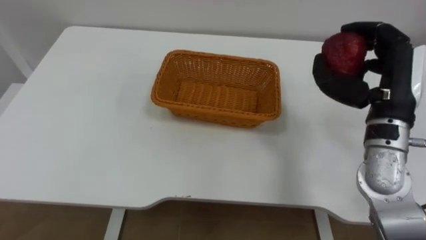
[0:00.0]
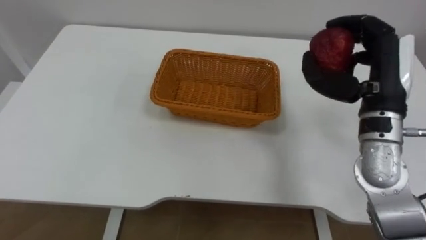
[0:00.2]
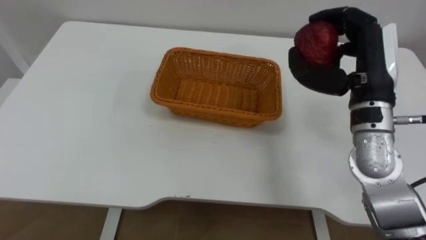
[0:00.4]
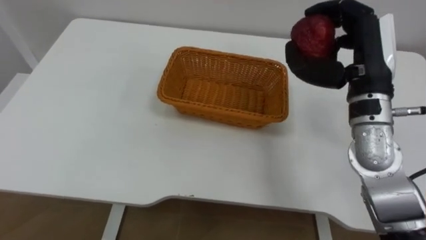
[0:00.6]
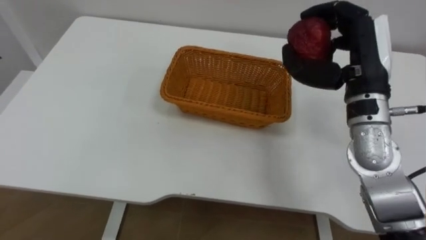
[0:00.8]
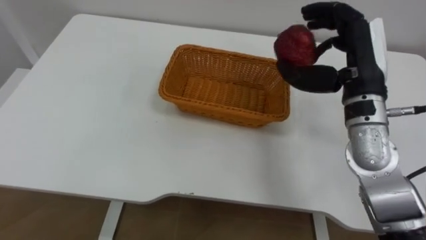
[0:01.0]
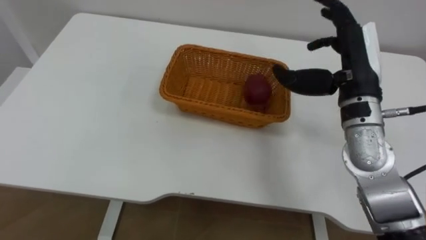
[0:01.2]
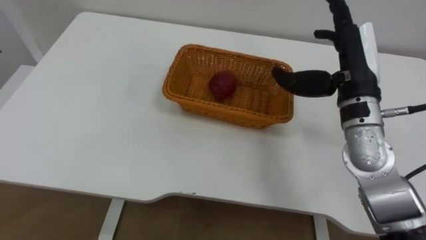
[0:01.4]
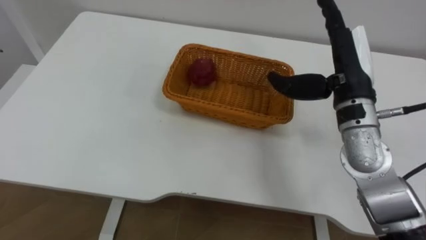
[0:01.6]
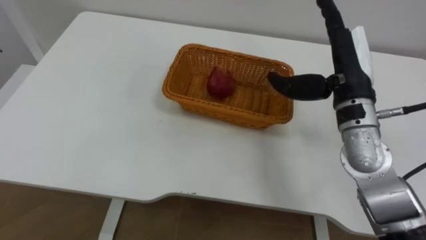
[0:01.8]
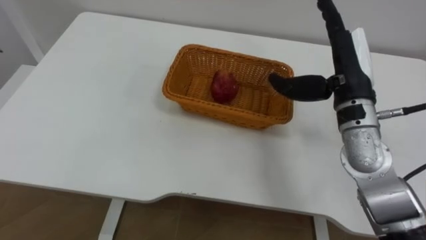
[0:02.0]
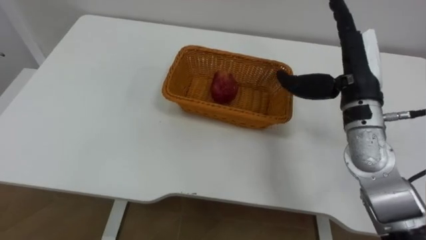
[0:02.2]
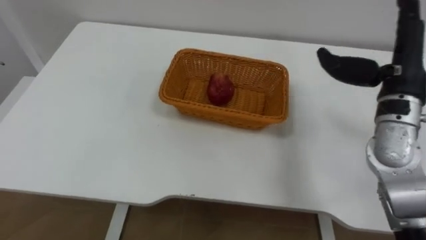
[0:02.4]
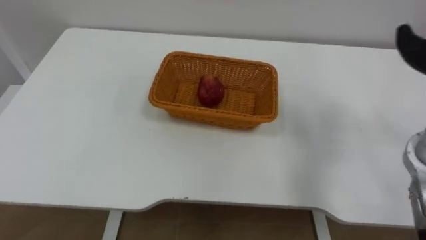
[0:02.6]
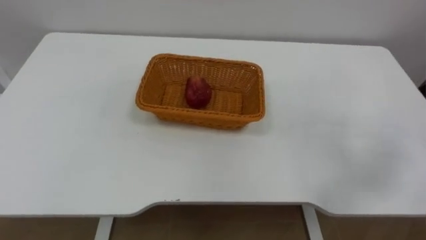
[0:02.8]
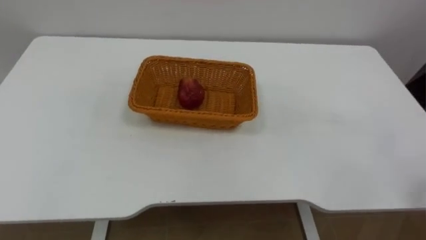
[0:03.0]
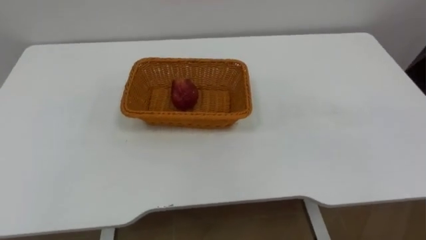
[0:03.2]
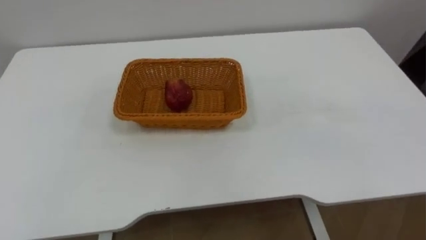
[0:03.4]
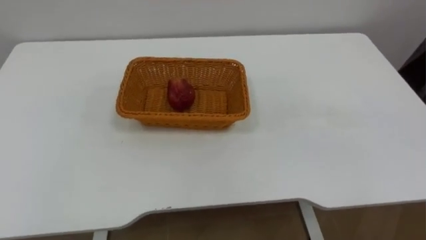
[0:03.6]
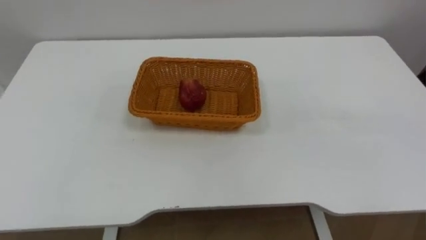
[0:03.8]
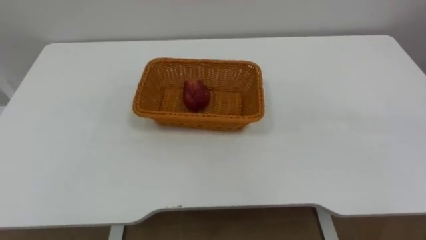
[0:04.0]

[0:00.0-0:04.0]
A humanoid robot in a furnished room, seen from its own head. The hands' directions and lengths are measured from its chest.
Task of the whole recording: Pick the apple and place it in the box.
0:00.0 to 0:01.4: The right hand shifts about 5 cm to the left, and opens its fingers.

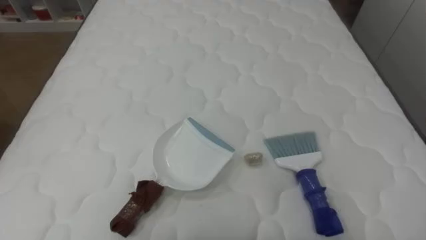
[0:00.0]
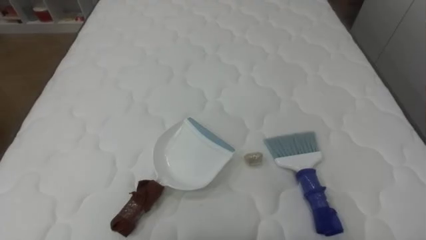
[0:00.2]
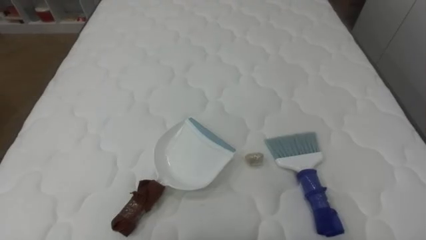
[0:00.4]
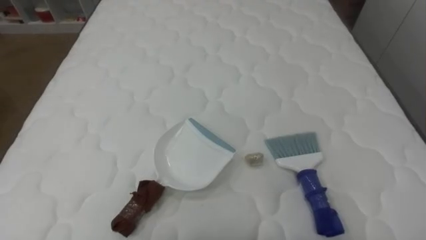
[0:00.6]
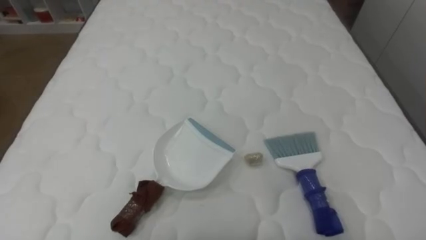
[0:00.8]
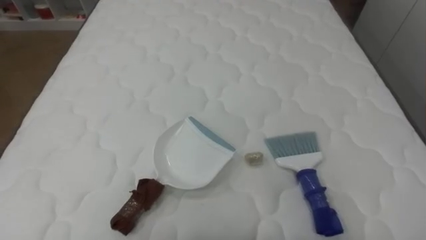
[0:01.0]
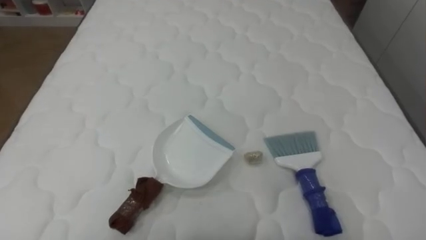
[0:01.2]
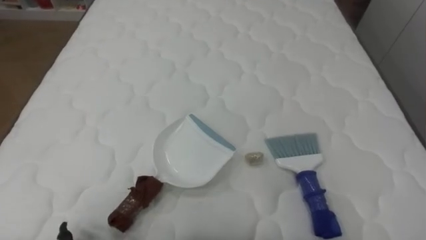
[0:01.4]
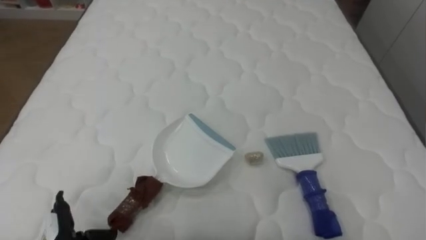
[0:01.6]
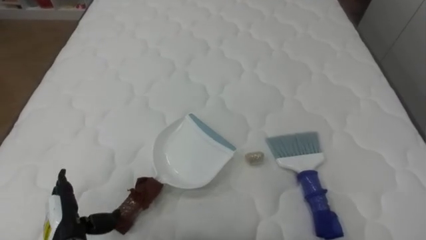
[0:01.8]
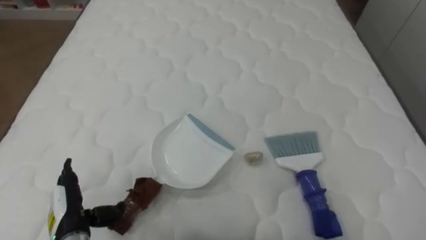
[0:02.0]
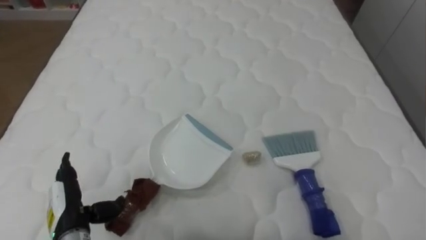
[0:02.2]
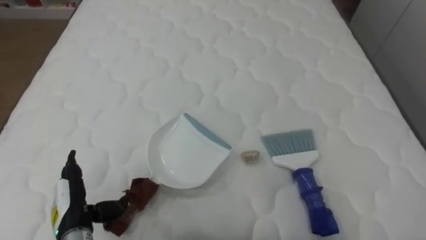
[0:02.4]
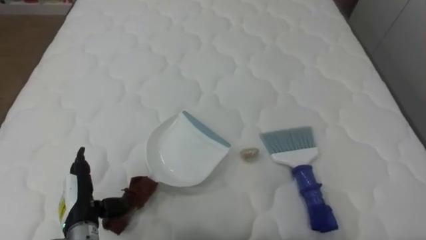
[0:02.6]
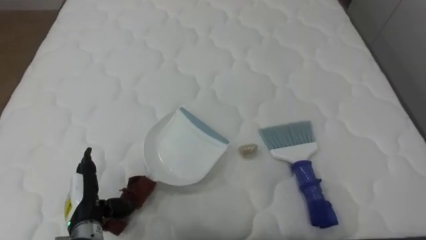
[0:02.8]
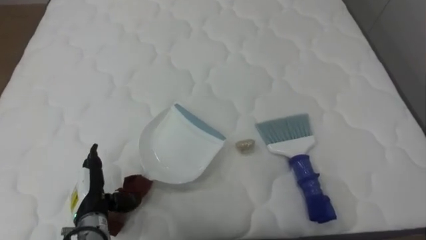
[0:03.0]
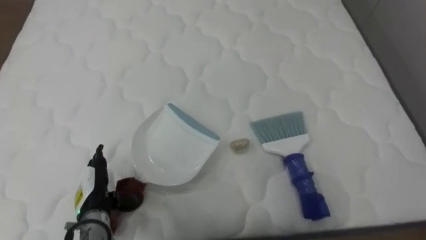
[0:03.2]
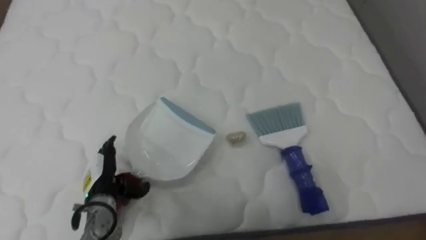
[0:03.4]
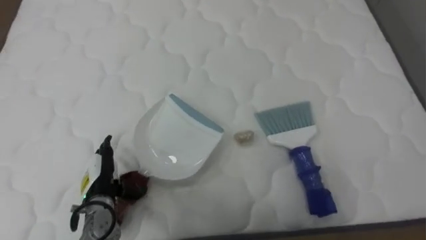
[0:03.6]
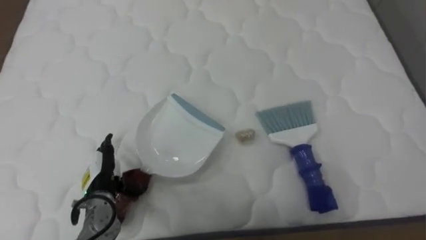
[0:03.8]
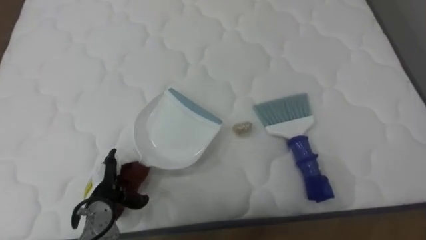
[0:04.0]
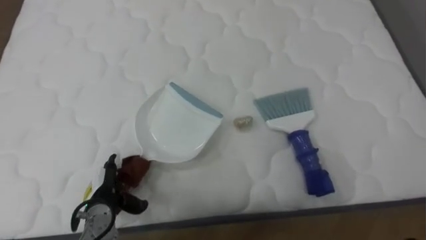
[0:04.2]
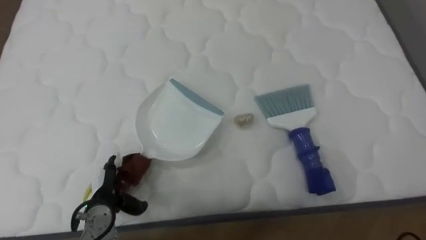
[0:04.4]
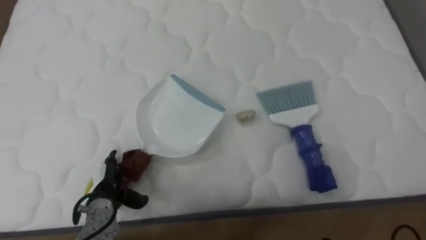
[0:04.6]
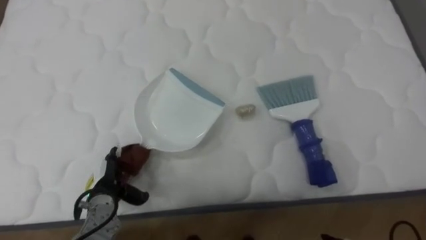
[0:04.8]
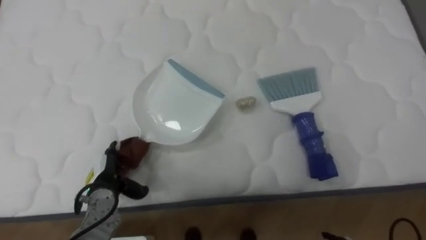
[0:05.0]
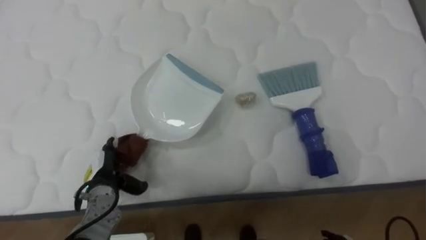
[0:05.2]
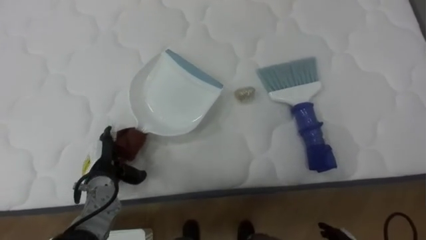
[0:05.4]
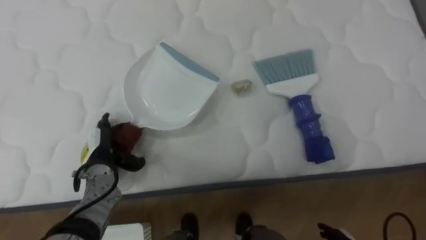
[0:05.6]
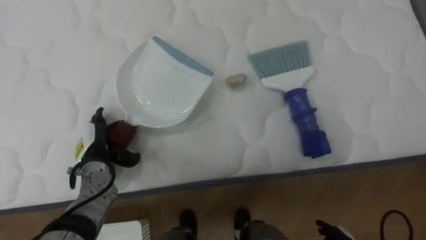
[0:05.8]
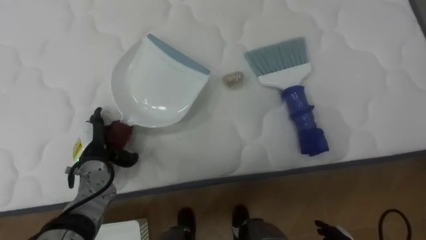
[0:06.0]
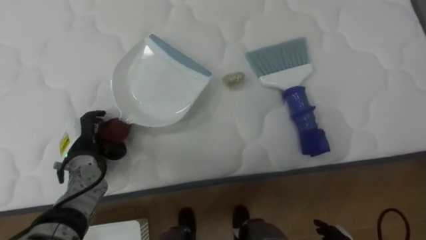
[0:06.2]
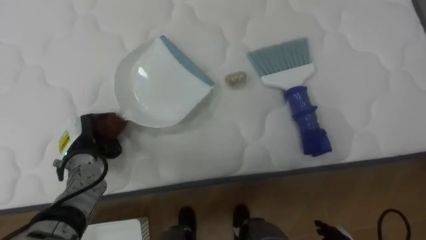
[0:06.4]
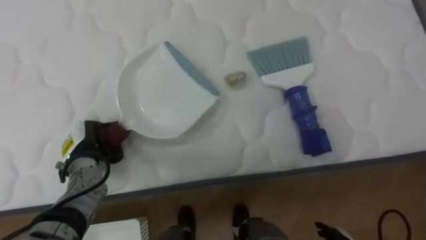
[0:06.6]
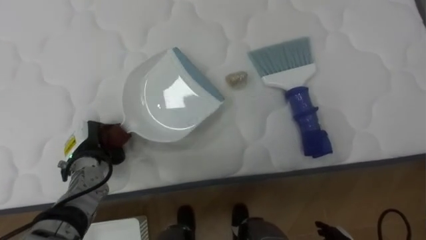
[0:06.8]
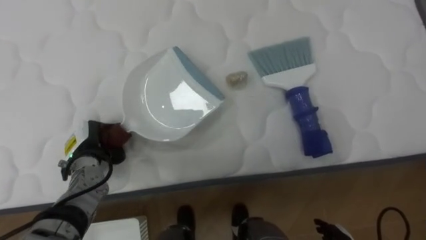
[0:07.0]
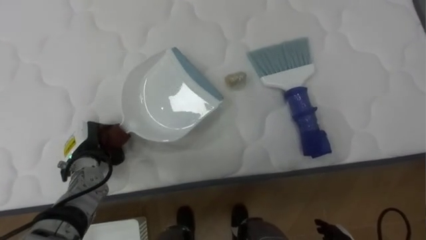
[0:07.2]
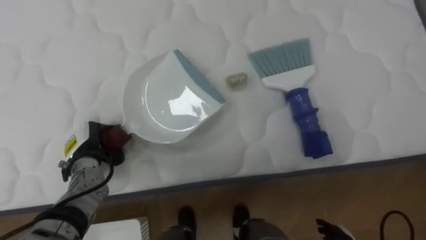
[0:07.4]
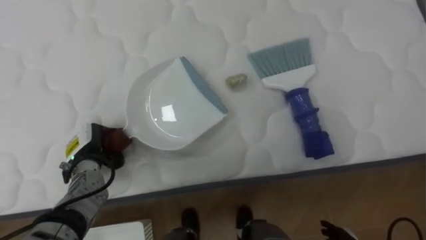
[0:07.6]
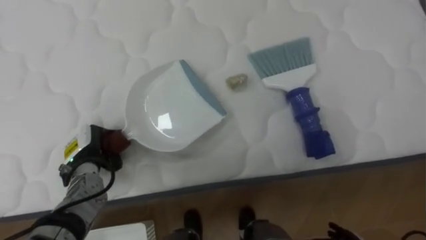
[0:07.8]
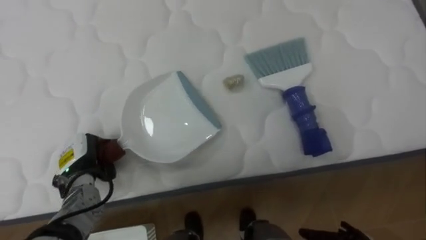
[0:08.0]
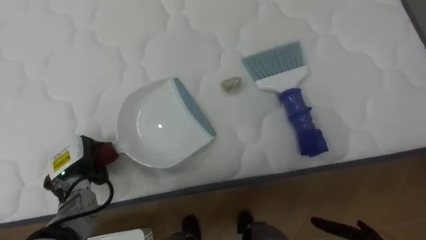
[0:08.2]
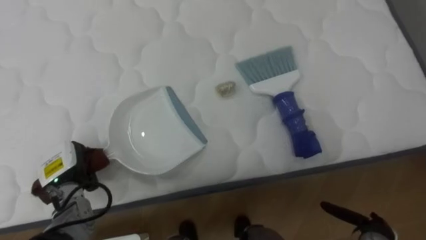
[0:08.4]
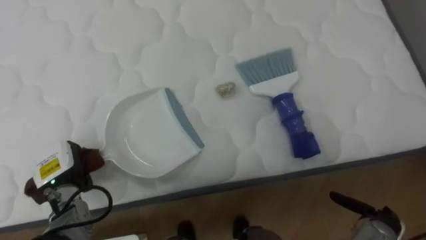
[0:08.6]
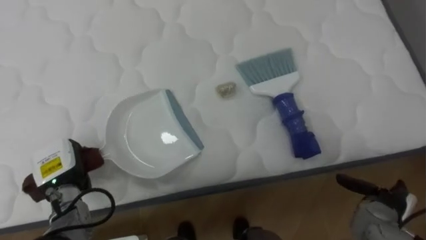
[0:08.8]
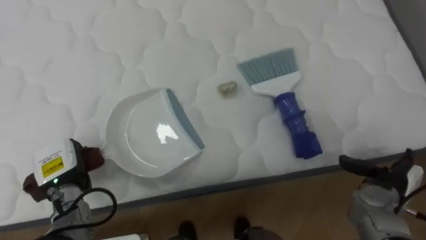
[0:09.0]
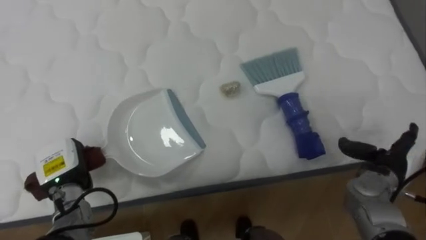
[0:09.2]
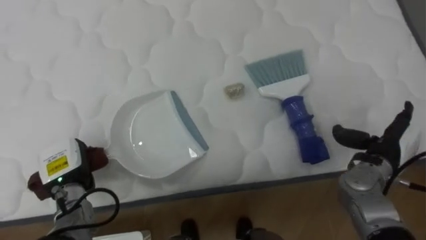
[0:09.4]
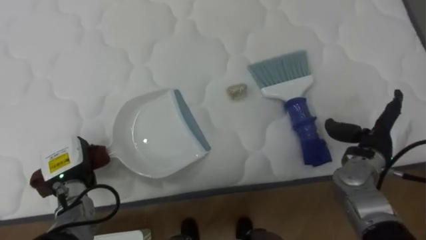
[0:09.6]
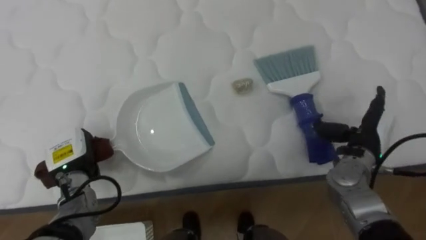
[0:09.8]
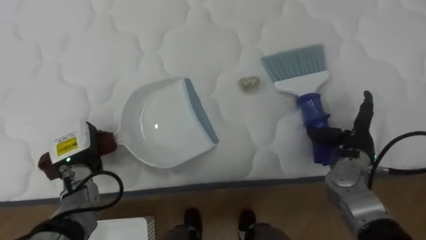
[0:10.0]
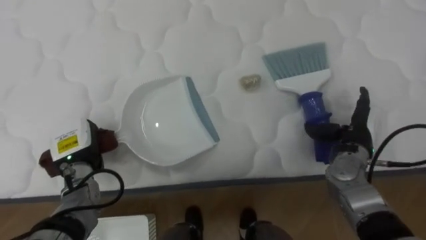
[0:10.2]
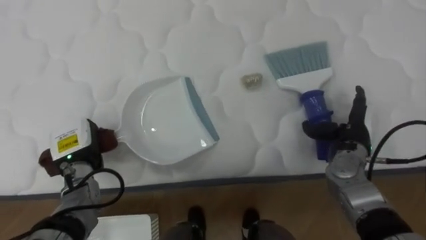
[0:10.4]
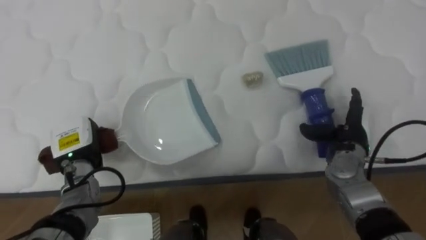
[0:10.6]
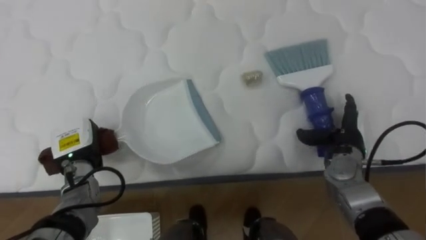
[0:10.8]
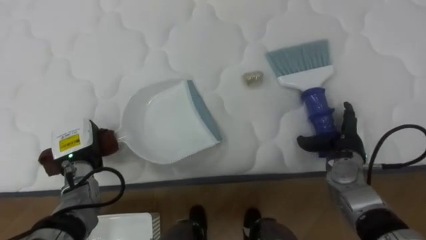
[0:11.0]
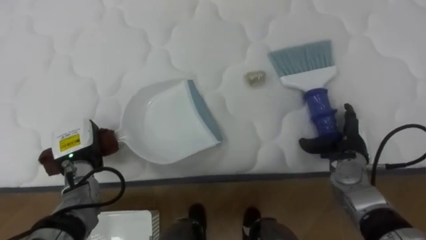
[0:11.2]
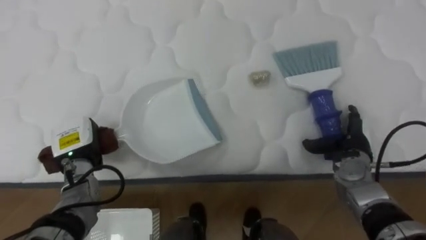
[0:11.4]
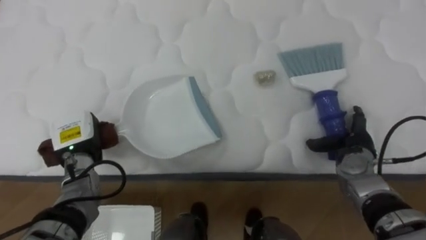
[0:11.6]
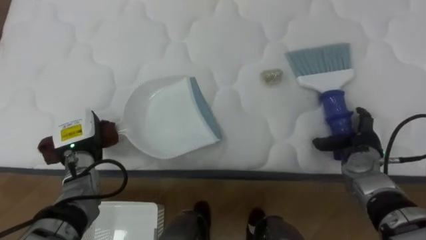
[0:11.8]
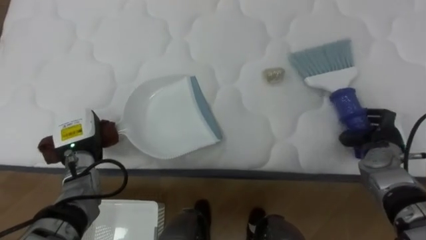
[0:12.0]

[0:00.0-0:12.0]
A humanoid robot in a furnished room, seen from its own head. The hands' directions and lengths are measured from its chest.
Task of the whole recording: Pick up the brush on your right and the dustpan on your left. Use the brush to sweep the crumpled paper on the bed into the dustpan, then turn left and empty it into the basket.
0:04.4 to 0:06.0: The left hand is displaced forward and upward by roughly 10 cm.
0:06.0 to 0:07.6: The left hand closes.
0:07.6 to 0:09.0: The left hand ends up approximately 5 cm from where it was.
0:09.0 to 0:10.4: The right hand travels forward, to the left and upward by roughly 15 cm; the left hand shifts by about 5 cm.
0:10.4 to 0:12.0: The right hand heads to the right, covering some 5 cm.

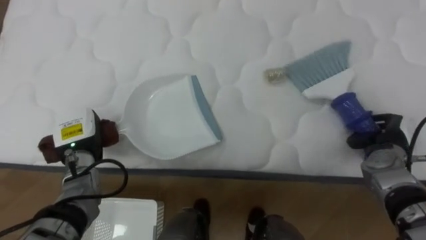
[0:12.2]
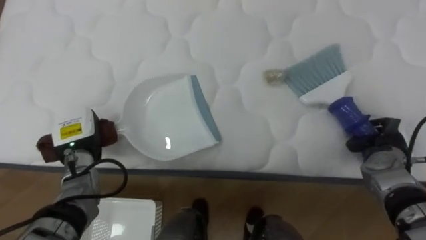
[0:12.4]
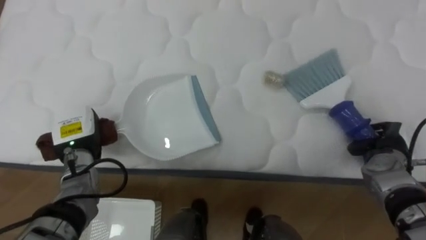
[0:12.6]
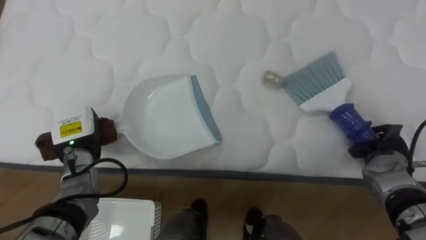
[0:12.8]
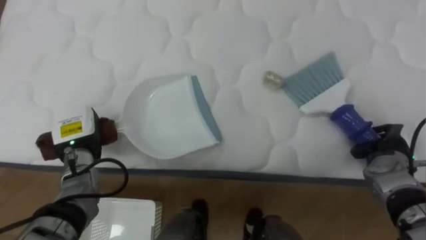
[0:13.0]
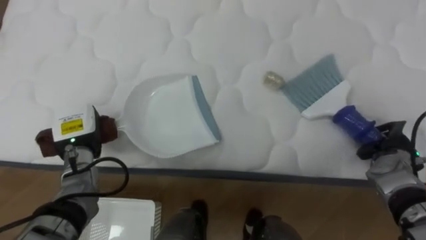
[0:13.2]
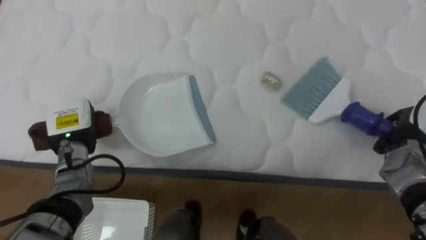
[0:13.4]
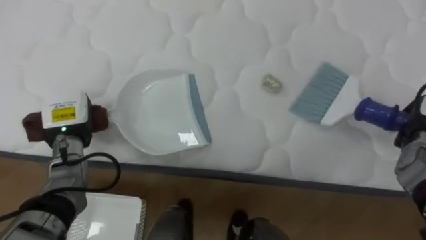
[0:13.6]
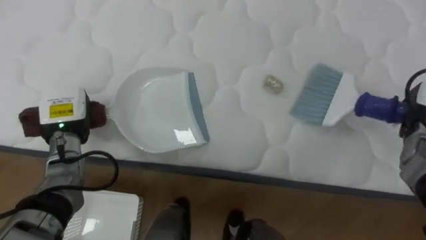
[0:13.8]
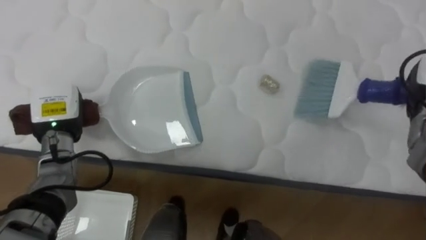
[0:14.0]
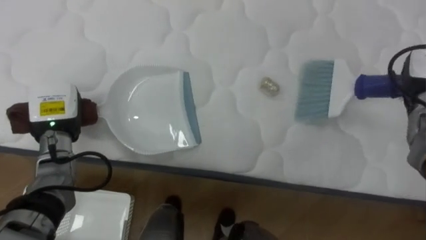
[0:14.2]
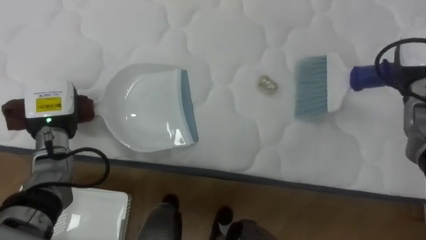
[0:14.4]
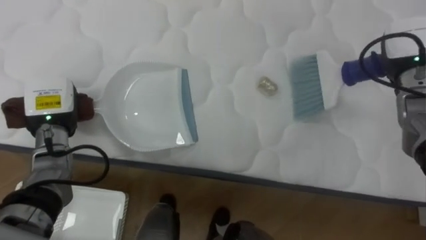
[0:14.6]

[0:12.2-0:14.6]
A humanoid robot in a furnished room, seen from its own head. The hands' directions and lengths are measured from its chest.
Task of the whole recording: Pick up the brush on your right and the dustpan on your left. Use the brush to sweep the crumpled paper on the bed into the dustpan, then turn left and empty it into the basket.
0:13.4 to 0:14.6: The right hand heads upward and forward, covering approximately 15 cm. The left hand changes place by about 5 cm.
